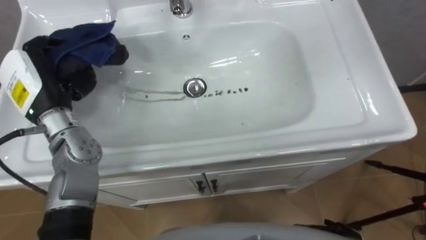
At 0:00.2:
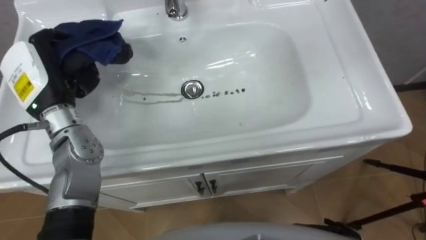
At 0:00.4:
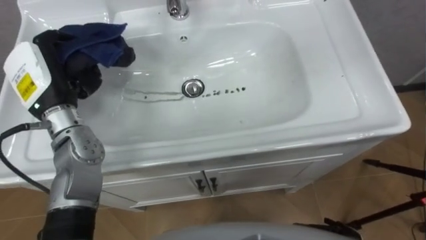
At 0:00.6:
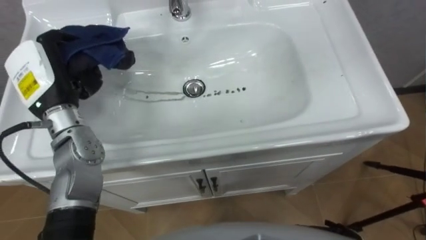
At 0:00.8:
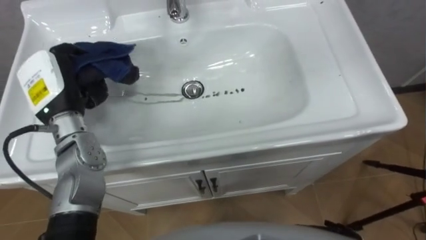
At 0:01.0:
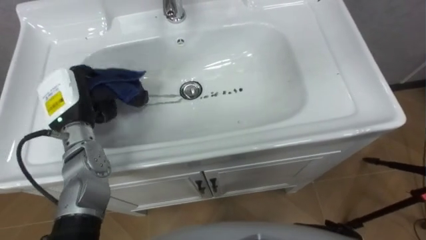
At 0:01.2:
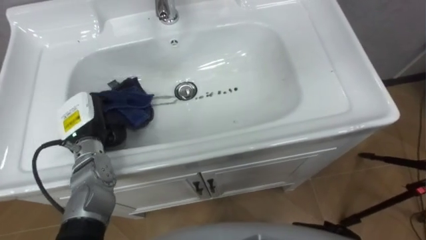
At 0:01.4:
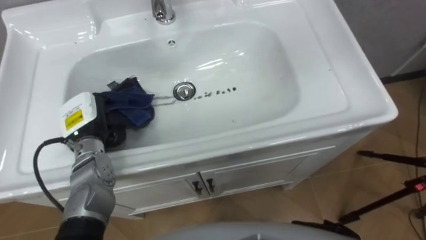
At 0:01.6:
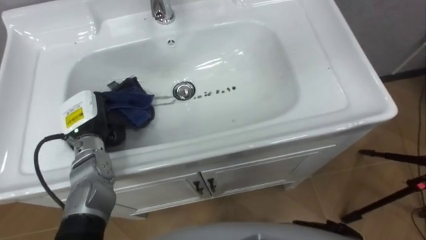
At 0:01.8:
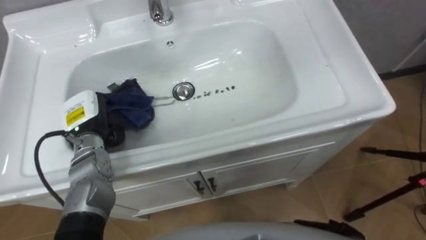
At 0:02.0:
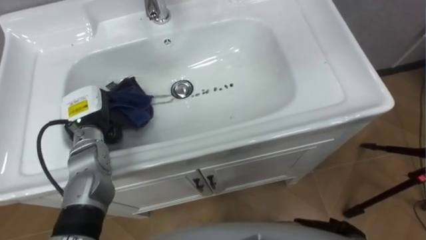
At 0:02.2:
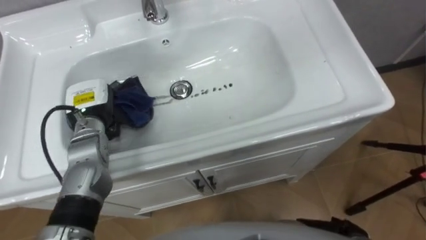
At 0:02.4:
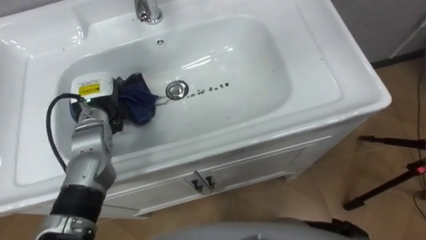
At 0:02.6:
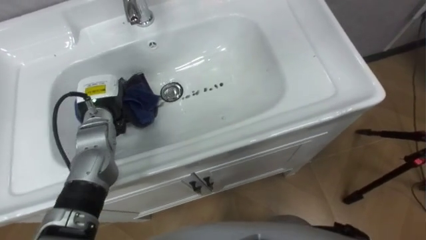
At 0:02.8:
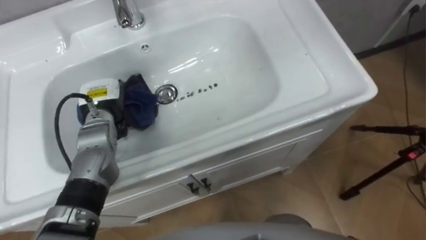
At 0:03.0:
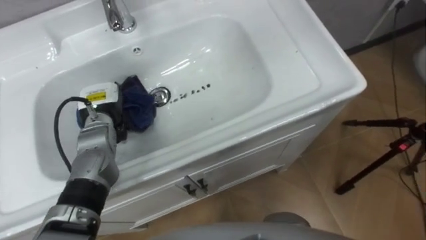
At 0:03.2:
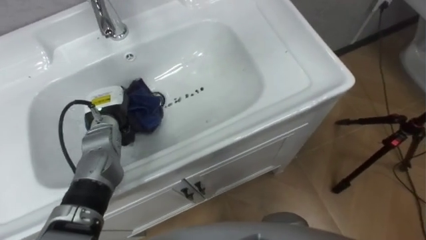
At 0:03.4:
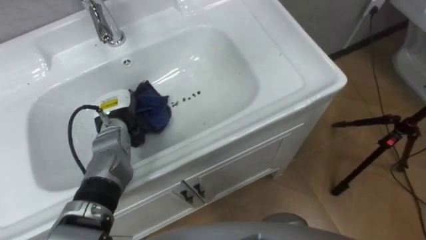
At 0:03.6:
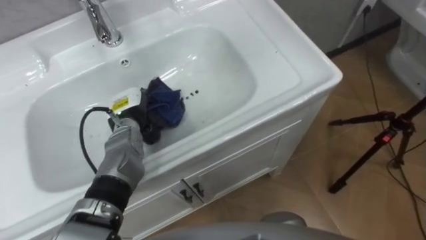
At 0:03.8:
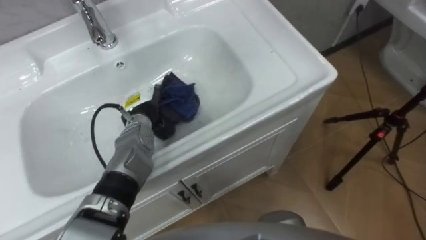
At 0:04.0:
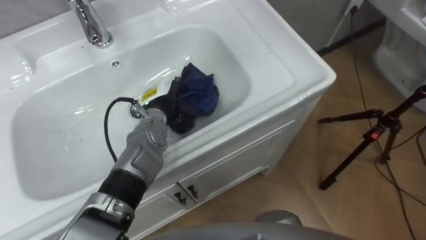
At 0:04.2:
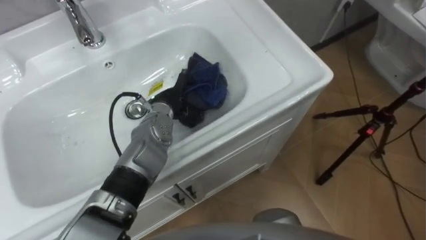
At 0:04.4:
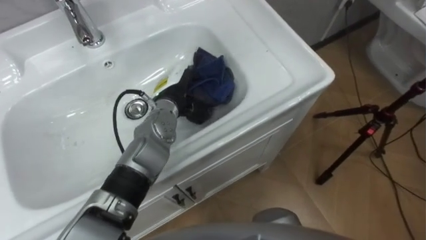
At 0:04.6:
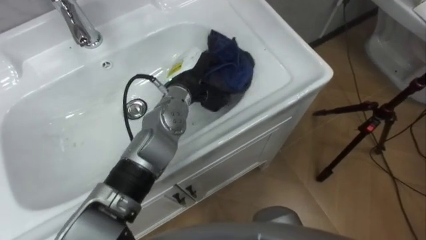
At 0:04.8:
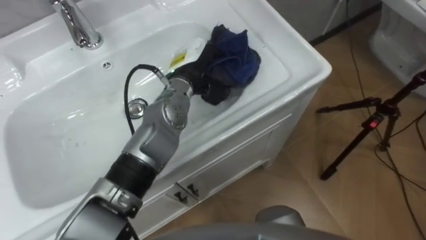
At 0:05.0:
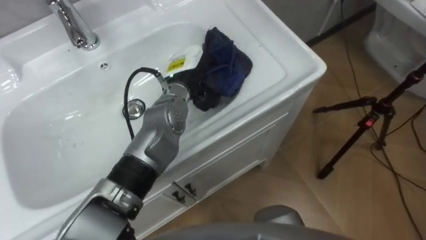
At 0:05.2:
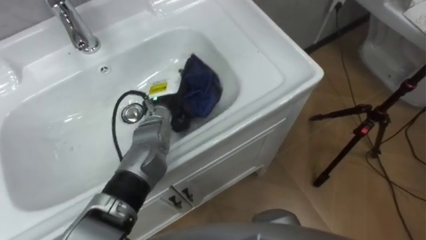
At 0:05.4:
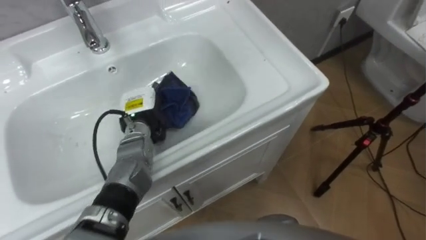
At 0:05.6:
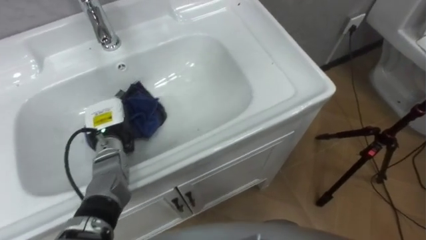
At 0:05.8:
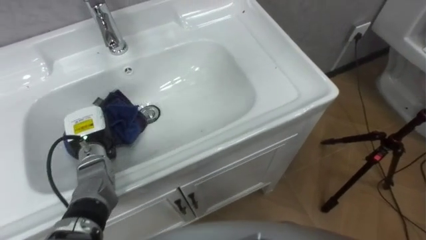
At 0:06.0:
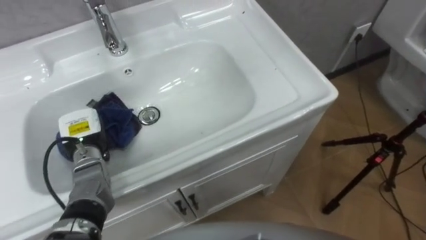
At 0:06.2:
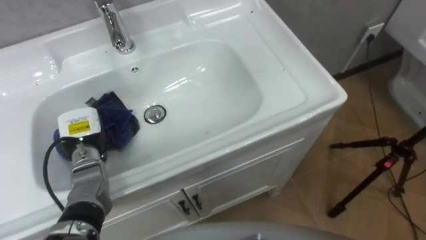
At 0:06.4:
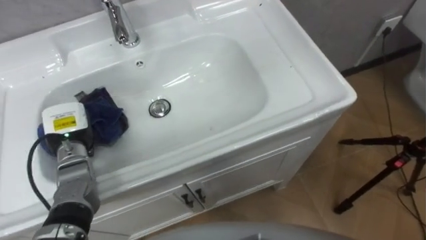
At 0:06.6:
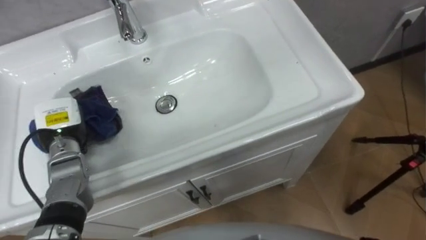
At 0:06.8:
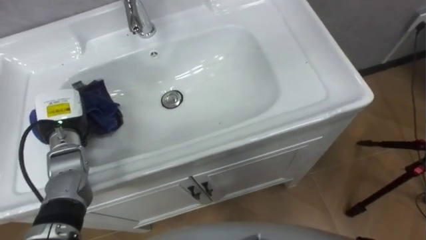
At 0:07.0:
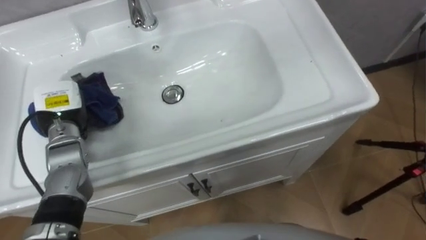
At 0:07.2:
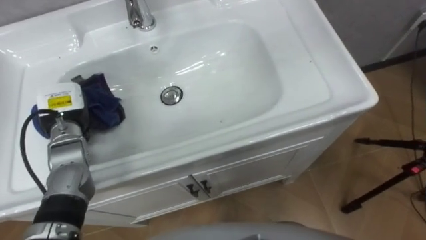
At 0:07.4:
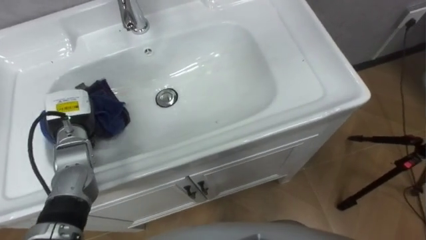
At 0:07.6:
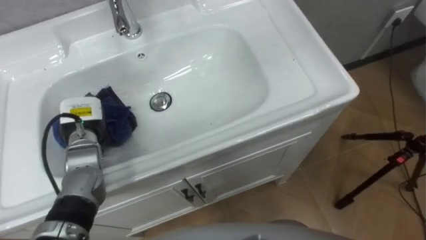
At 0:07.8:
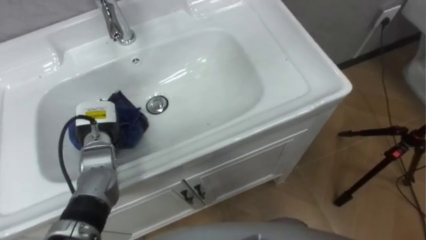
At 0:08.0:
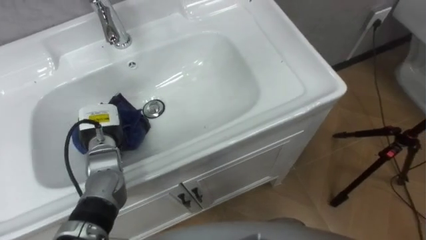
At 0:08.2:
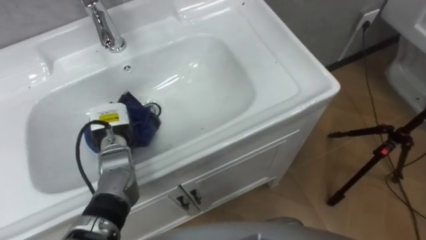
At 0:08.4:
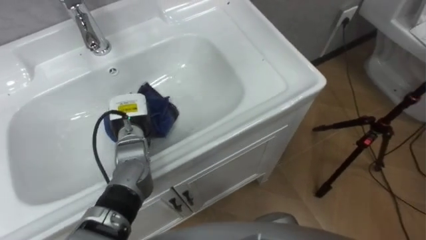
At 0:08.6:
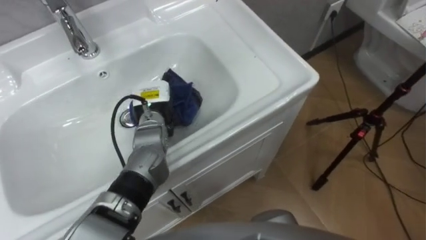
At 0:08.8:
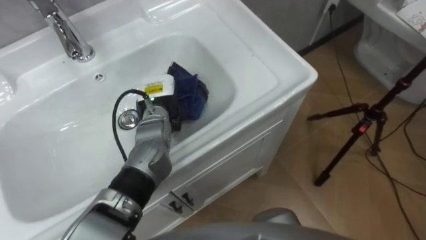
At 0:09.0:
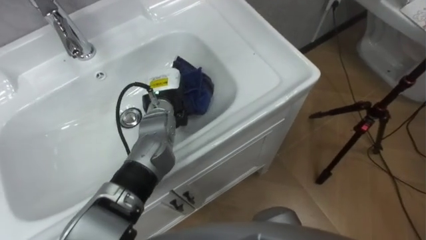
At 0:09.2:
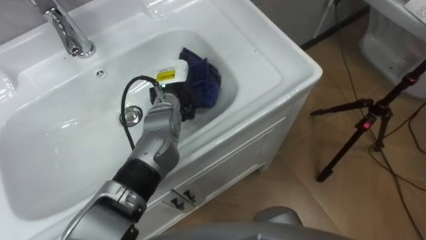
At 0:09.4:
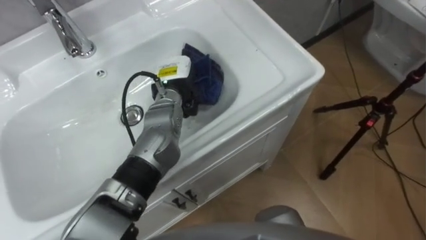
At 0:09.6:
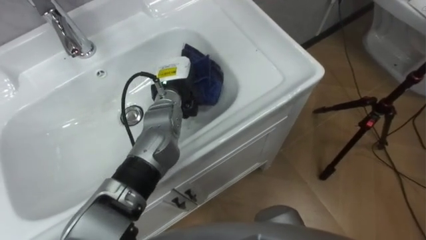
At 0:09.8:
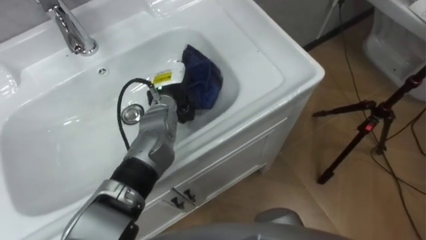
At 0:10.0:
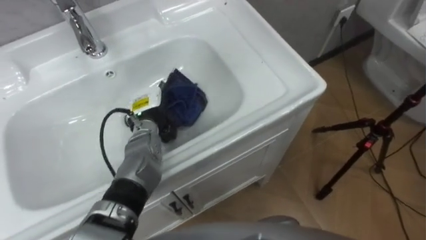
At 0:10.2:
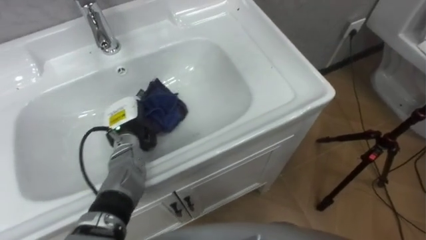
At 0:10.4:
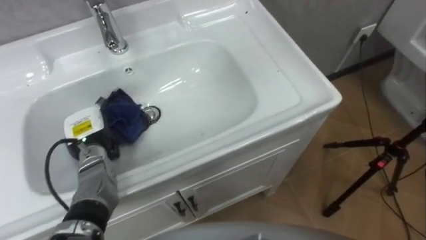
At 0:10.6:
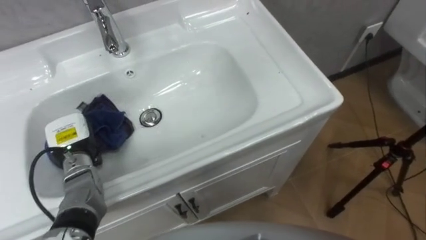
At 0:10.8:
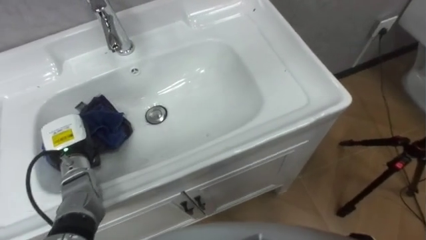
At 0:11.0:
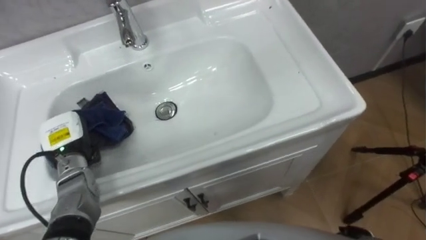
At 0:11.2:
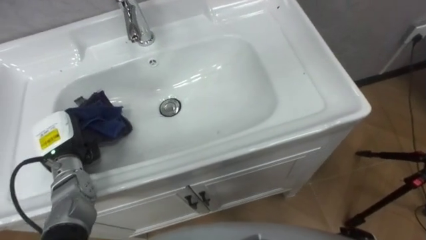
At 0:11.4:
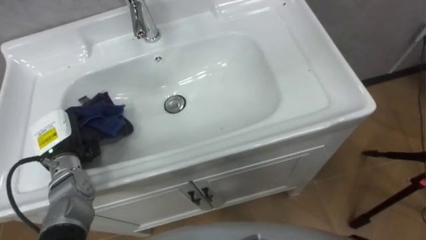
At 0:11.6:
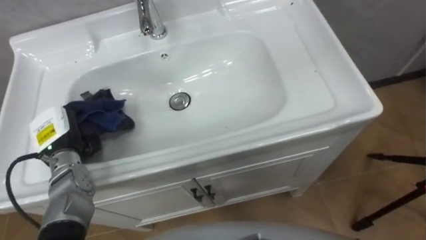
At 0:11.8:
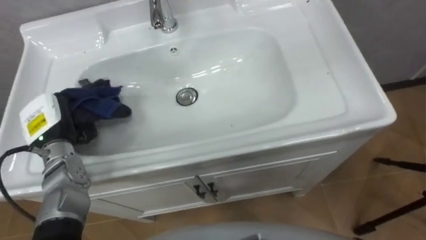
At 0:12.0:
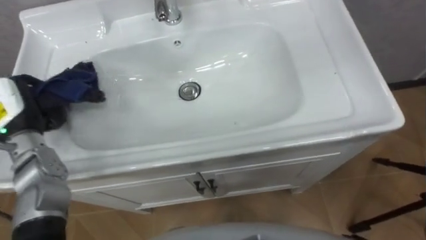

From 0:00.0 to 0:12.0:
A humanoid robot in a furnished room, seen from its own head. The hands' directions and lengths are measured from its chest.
Task of the whole recording: Use the cloth on the right to wipe away the black stain in the sink.
From 0:00.0 to 0:01.6: The left hand moves downward, approximately 10 cm.
From 0:03.0 to 0:04.4: The left hand travels to the right by about 15 cm.
From 0:04.4 to 0:06.0: The left hand shifts some 20 cm to the left and backward.
From 0:07.6 to 0:09.0: The left hand goes roughly 20 cm to the right.
From 0:09.0 to 0:10.4: The left hand goes some 20 cm to the left and backward.
From 0:10.4 to 0:12.0: The left hand is displaced upward and to the left by about 15 cm.

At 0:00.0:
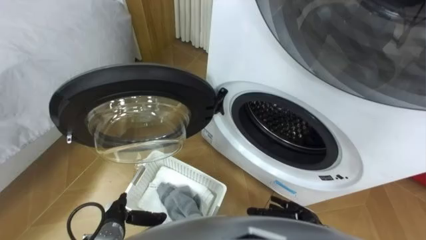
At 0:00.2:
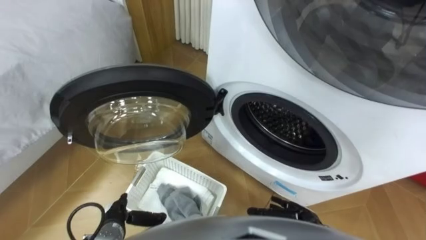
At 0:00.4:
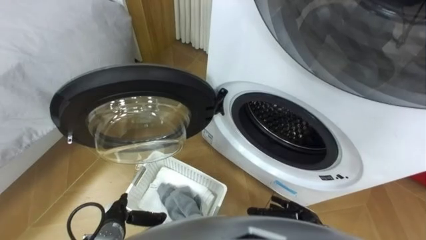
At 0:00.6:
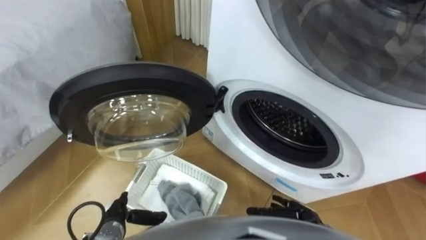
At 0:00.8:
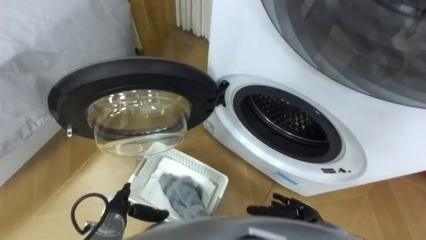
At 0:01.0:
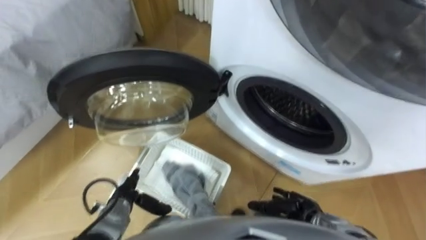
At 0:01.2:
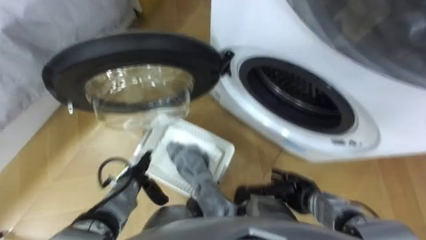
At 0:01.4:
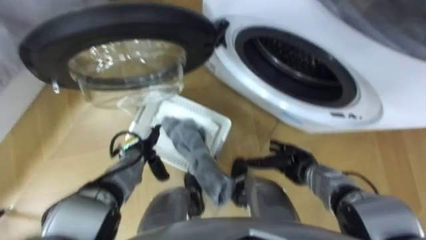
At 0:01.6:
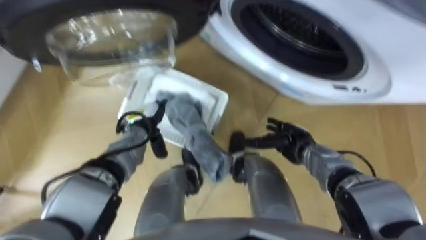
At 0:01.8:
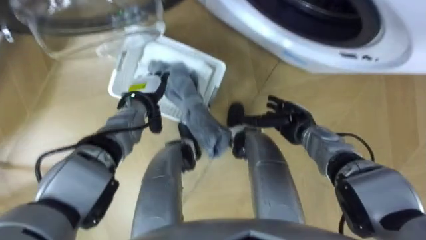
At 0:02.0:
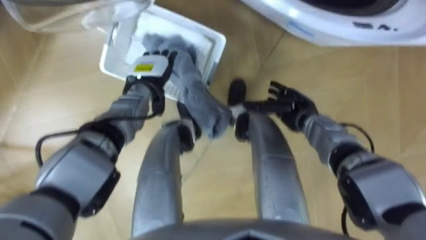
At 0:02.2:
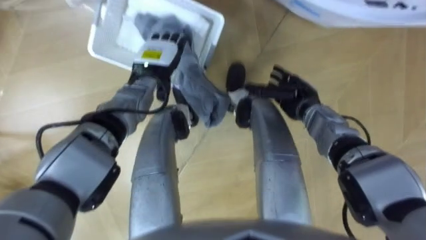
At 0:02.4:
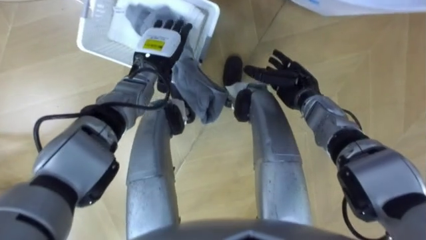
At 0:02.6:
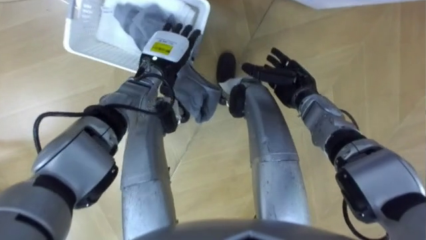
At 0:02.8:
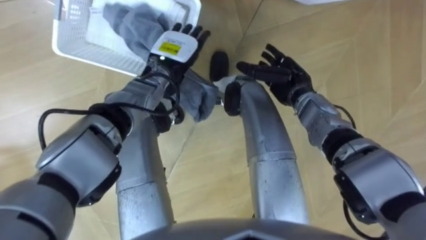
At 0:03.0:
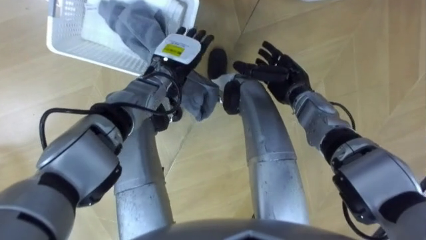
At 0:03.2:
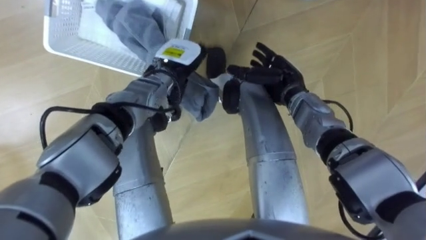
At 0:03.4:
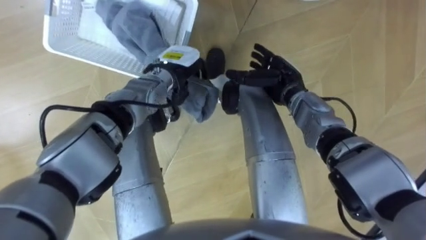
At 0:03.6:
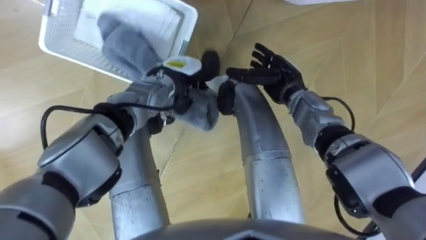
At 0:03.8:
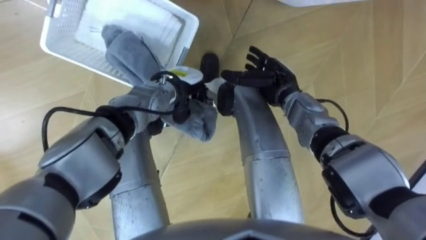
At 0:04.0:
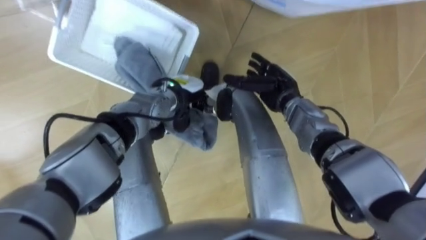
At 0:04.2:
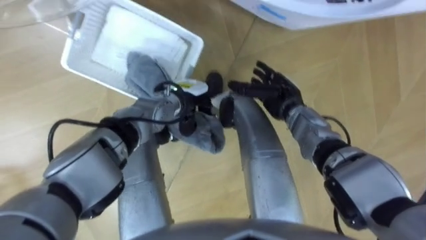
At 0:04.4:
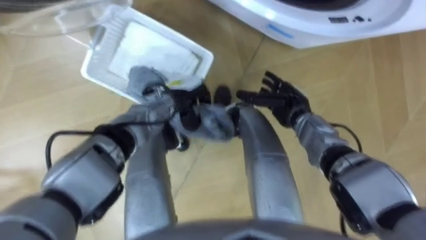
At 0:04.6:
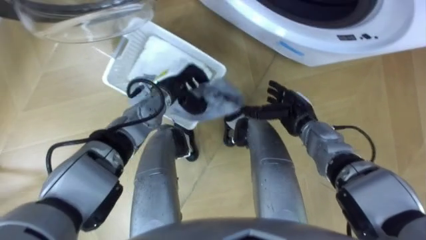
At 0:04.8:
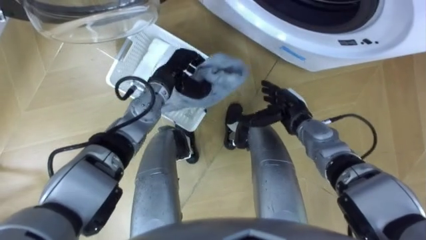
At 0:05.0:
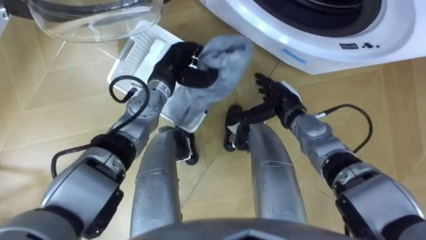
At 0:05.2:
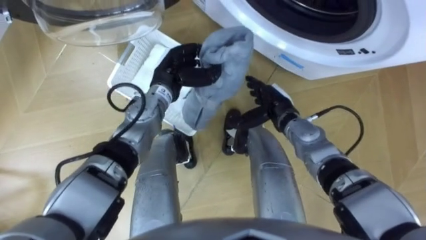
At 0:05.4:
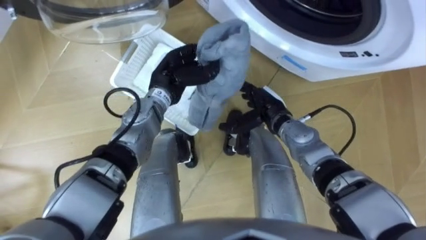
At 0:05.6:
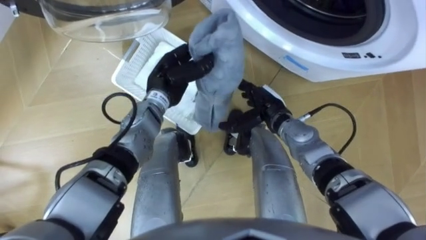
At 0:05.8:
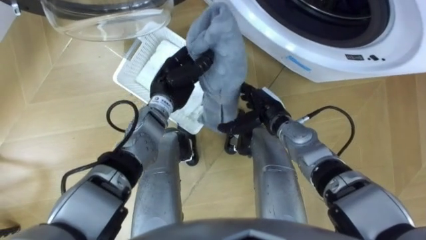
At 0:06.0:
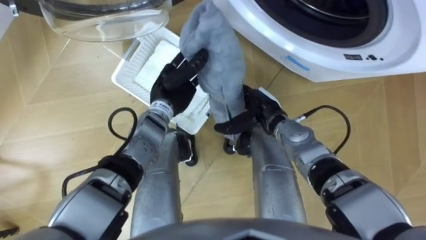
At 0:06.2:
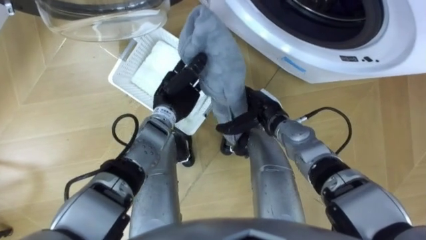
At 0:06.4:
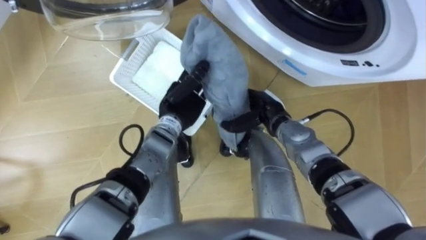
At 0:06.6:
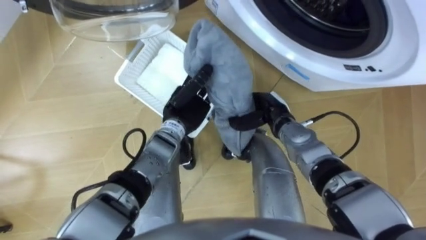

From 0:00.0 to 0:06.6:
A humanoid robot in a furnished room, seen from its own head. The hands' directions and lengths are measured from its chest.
Task of the whole recording: Take the towel from the basket and put it into the washing machine.
From 0:01.6 to 0:03.2: The left hand moves upward, to the right and forward, some 15 cm. The right hand is displaced forward and upward by roughly 15 cm.
From 0:03.2 to 0:05.0: The left hand closes.
From 0:05.0 to 0:06.6: The left hand is displaced backward by some 5 cm. The right hand closes.
